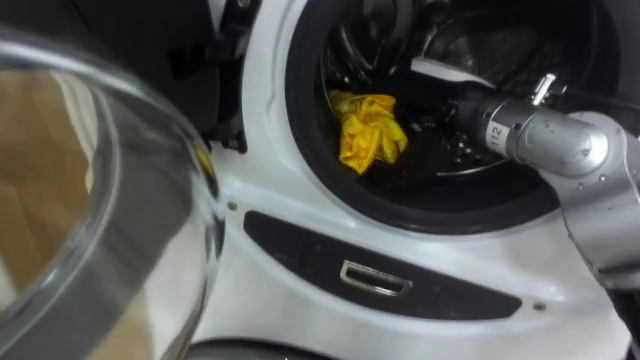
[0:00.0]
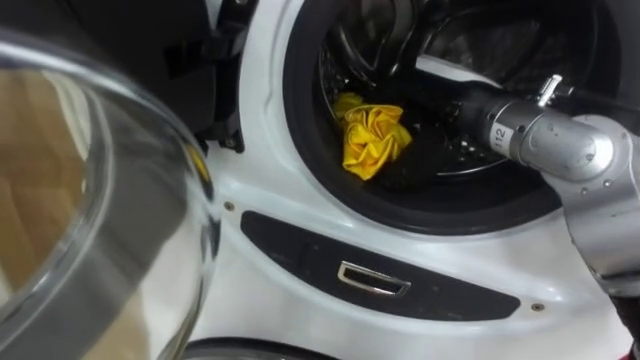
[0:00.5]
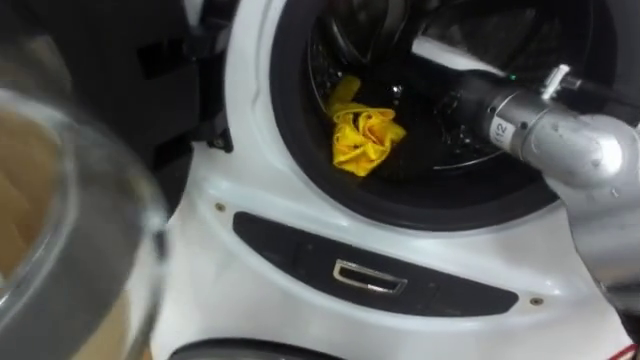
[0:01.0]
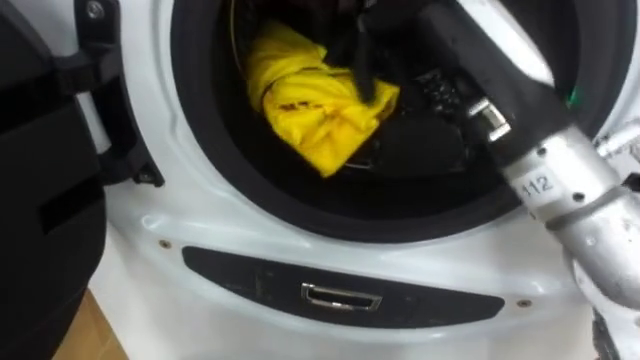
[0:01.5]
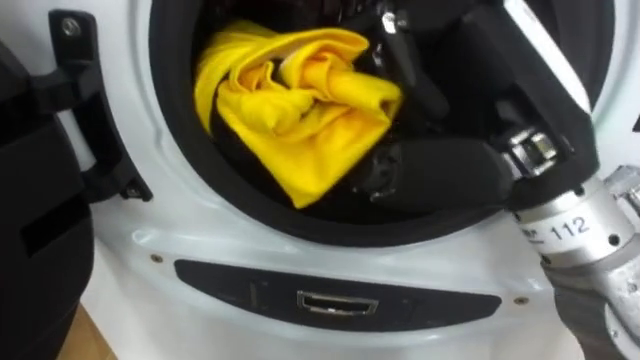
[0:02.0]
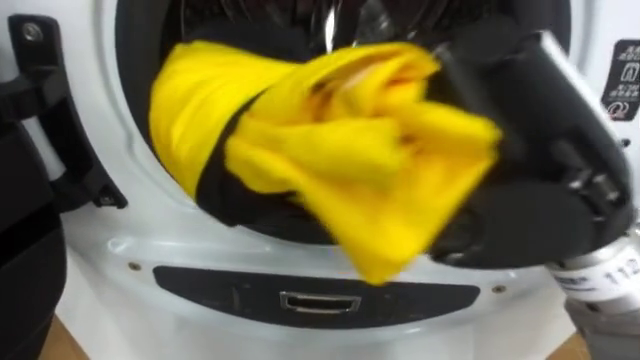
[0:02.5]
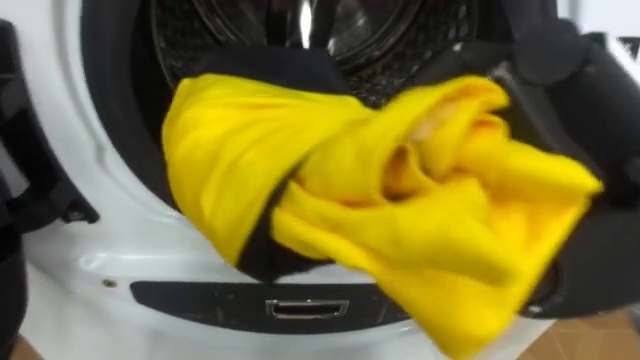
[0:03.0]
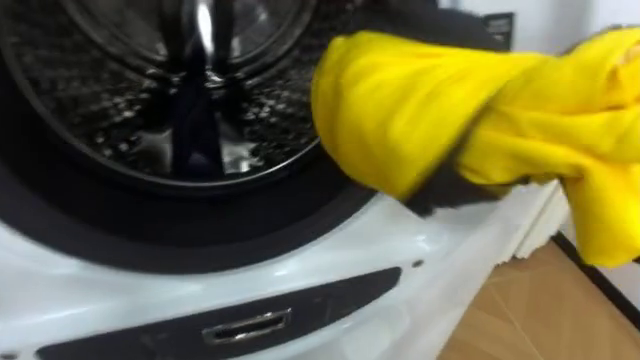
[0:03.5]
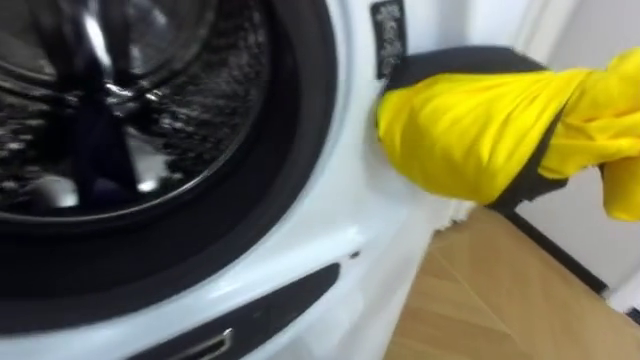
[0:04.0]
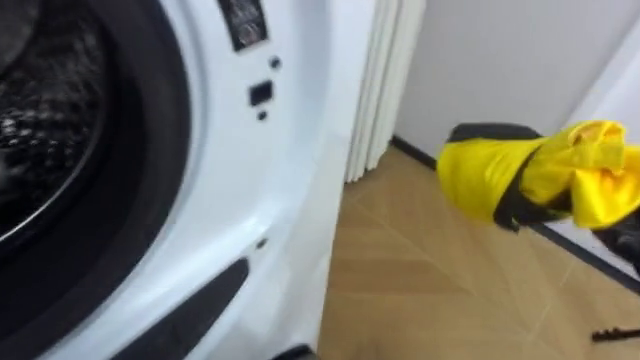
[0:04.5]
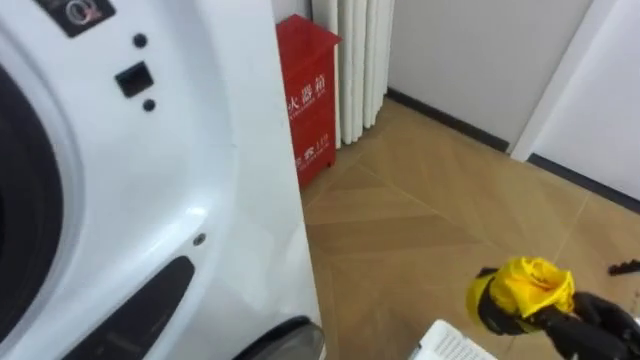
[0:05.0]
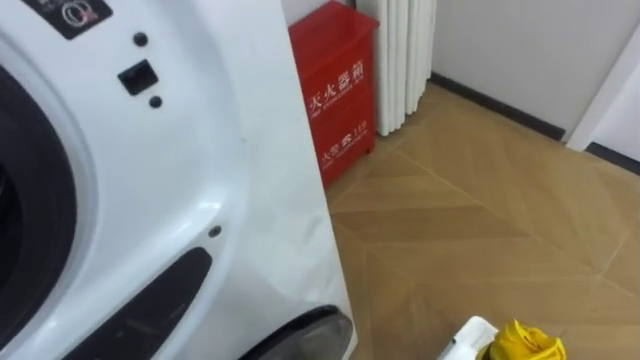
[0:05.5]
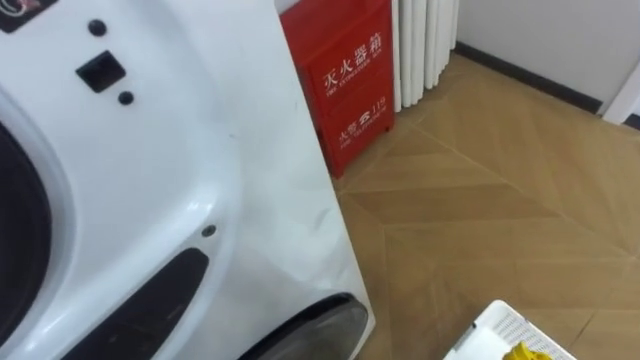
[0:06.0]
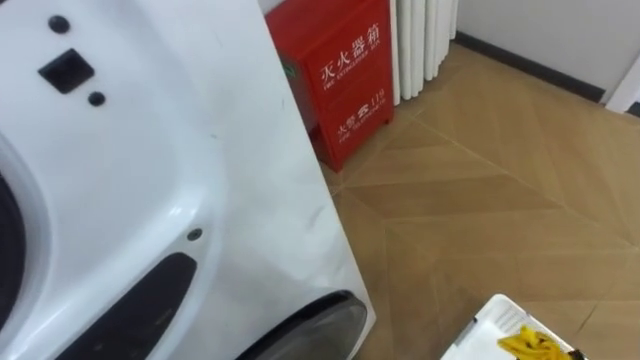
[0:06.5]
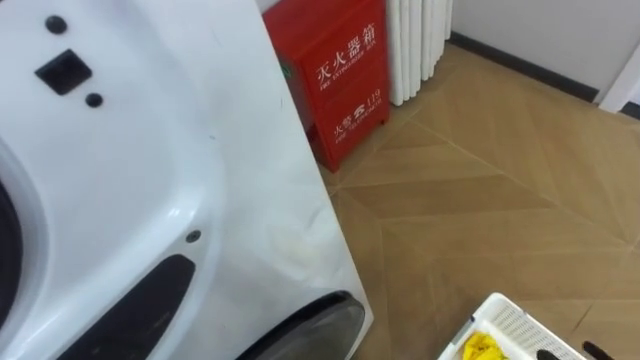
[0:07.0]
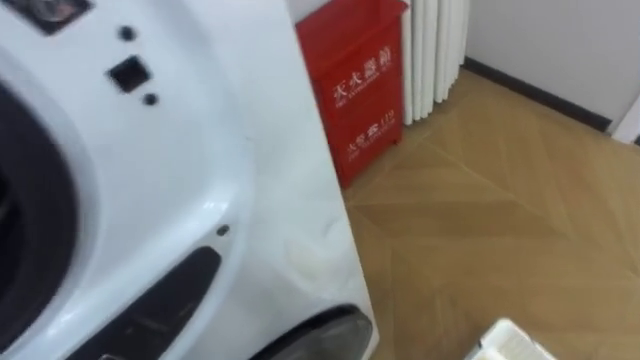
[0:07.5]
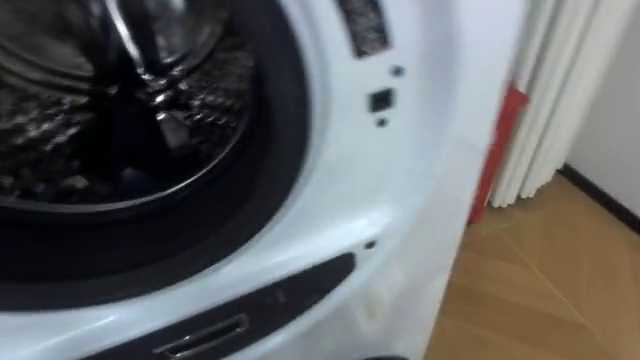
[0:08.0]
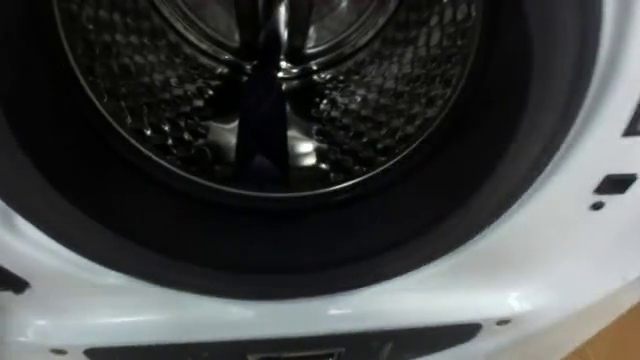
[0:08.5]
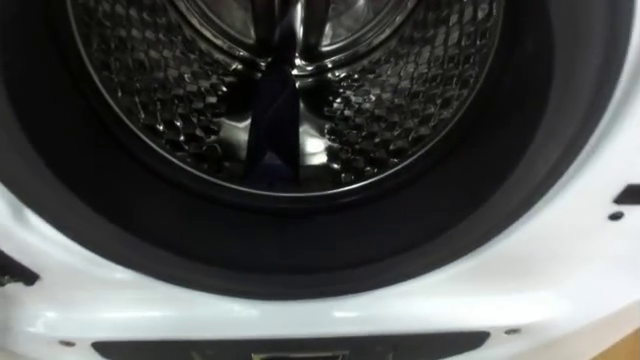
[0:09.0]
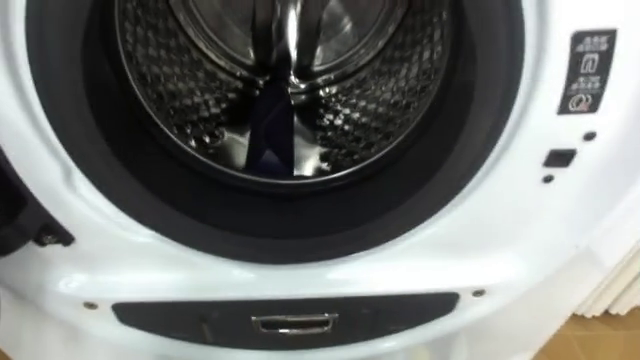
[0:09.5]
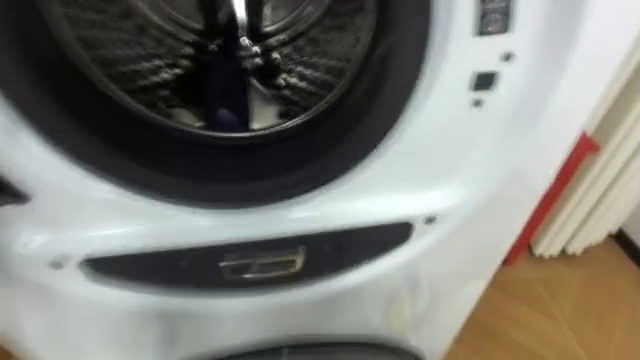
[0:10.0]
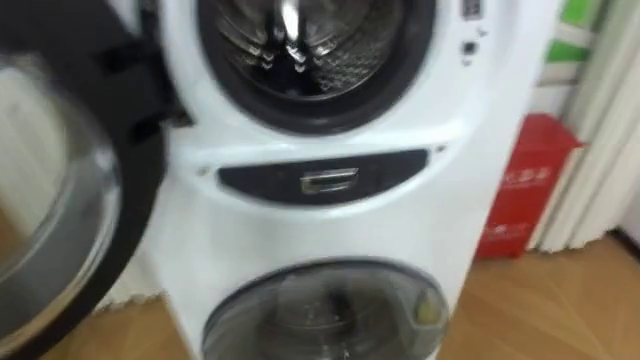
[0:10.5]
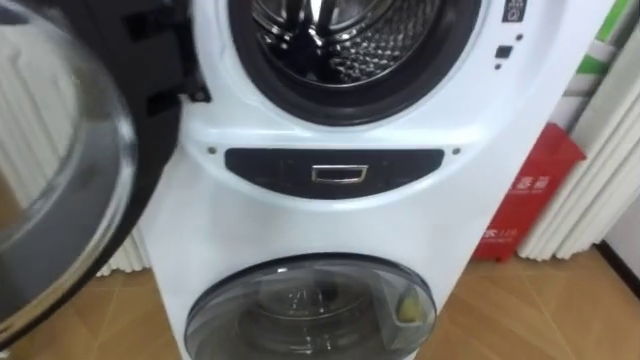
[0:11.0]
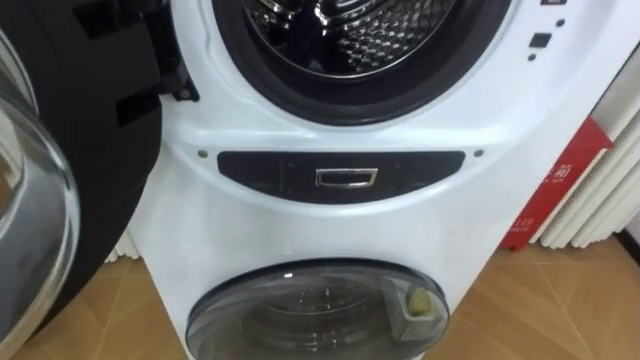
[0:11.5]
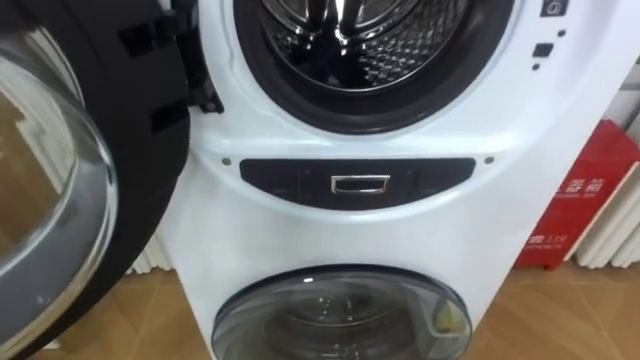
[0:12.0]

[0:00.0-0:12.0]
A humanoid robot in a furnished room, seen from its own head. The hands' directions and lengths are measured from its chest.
Task of the whole recording: Open the washing machine door, take out the yellow clothes, place them in the box on the right, and close the washing machine door.
0:00.0 to 0:02.0: The right hand shifts approximately 15 cm backward and upward, and closes its fingers.

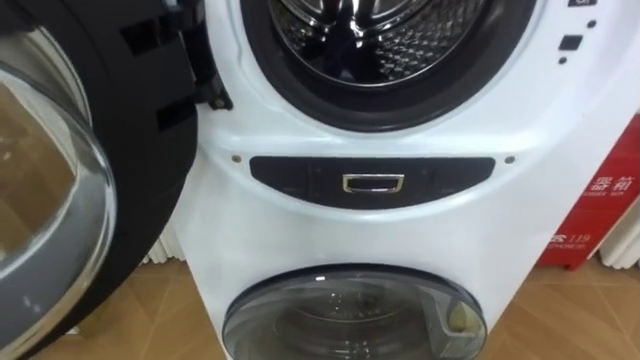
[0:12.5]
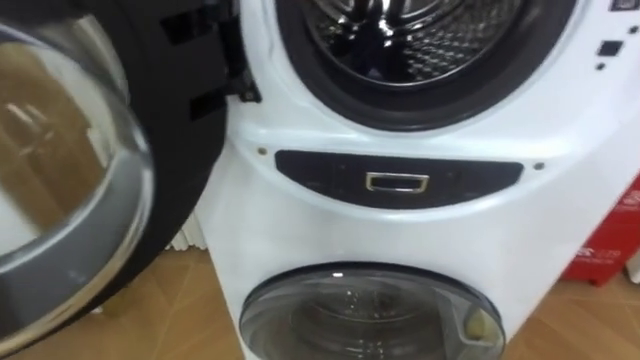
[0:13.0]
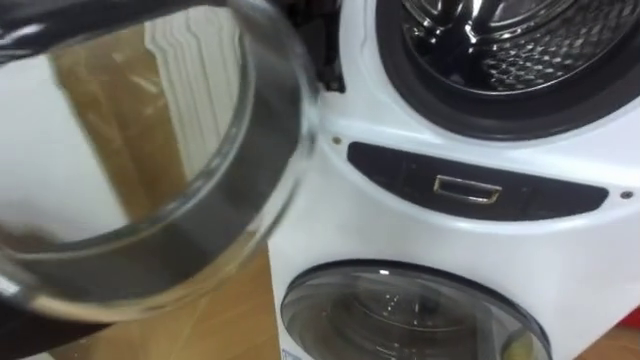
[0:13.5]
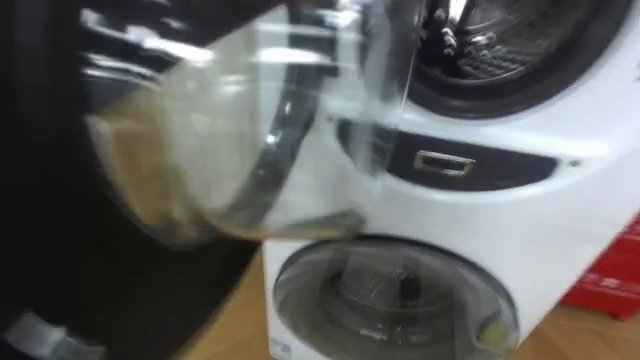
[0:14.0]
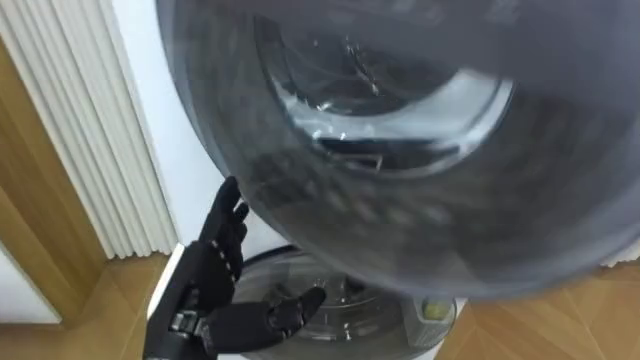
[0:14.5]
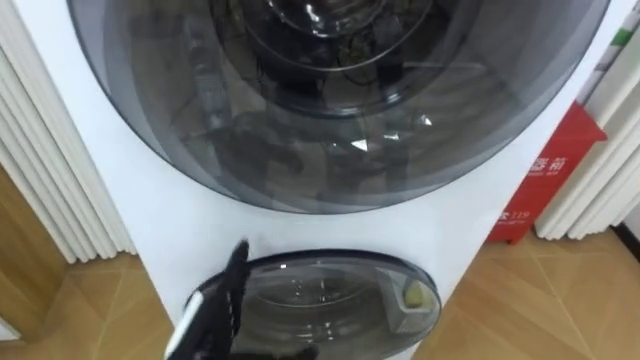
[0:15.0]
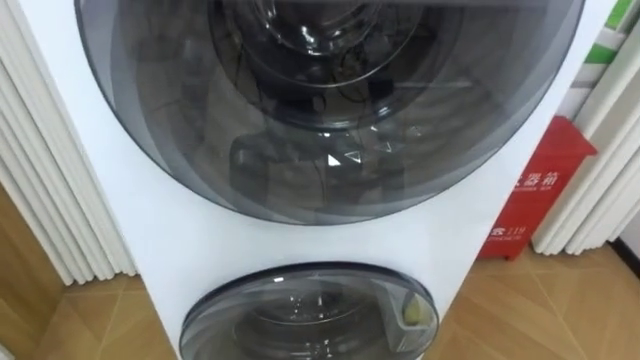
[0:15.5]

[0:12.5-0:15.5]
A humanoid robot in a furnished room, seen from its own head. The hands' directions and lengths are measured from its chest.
Task of the whole recording: Open the washing machine door, take out the yellow clothes, place them in the box on the right, and close the washing machine door.
0:14.0 to 0:15.5: The robot faces some 15 degrees further to its right.

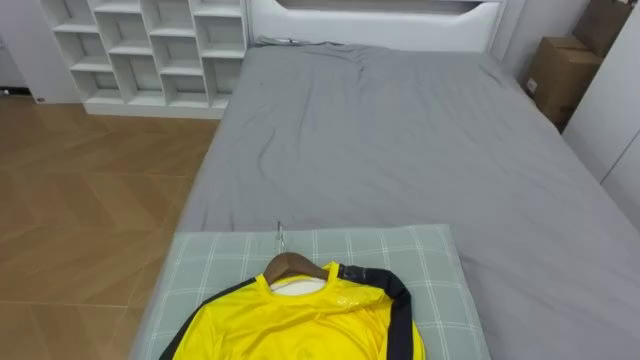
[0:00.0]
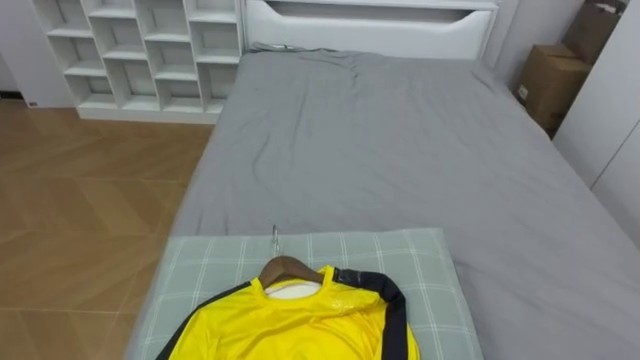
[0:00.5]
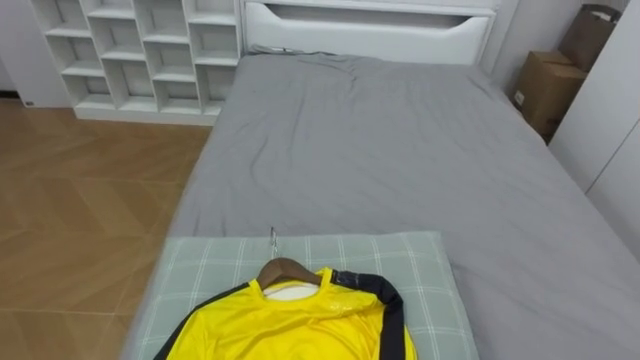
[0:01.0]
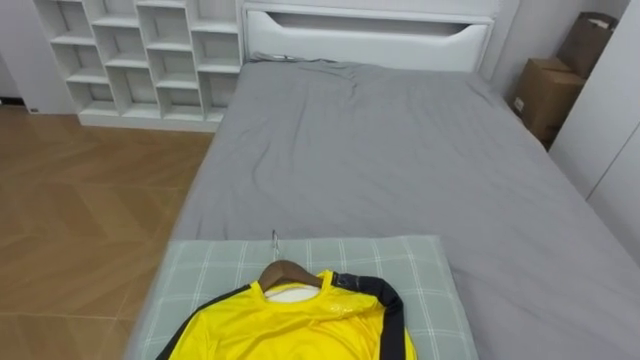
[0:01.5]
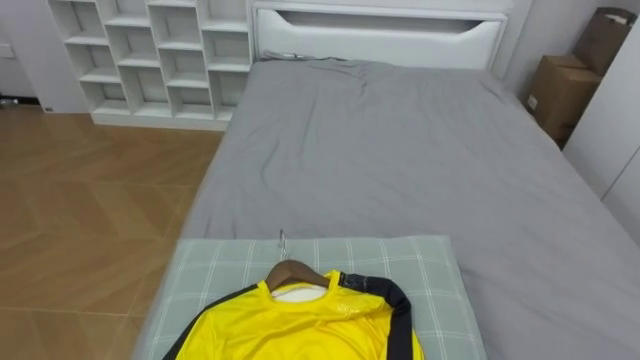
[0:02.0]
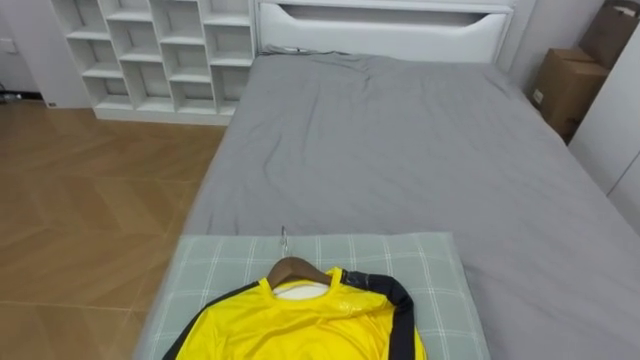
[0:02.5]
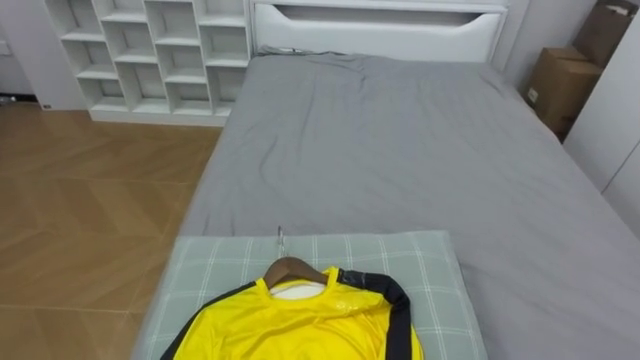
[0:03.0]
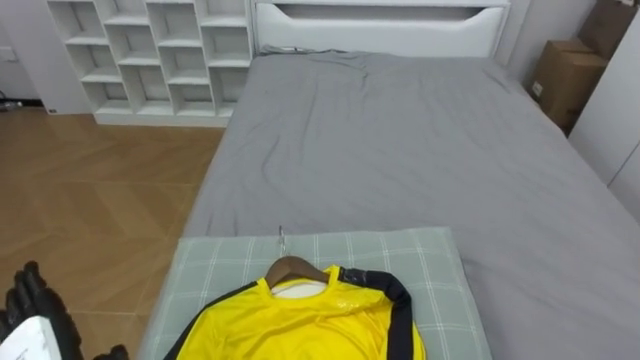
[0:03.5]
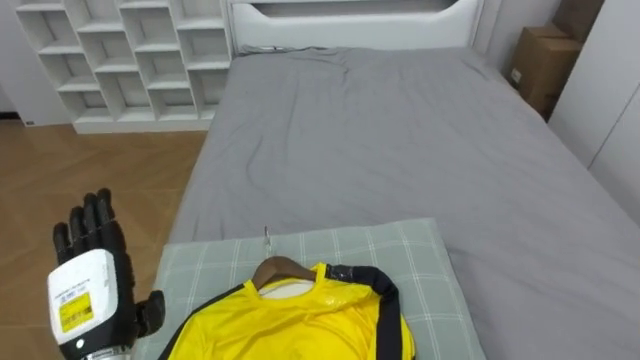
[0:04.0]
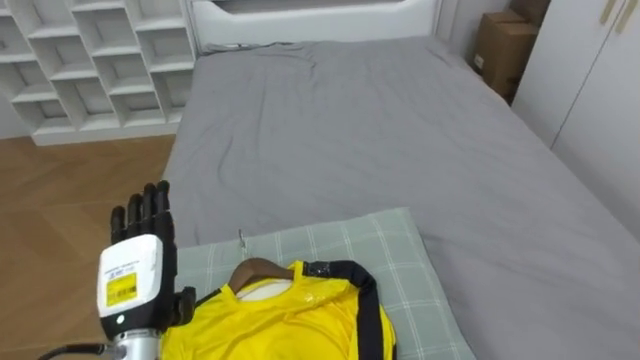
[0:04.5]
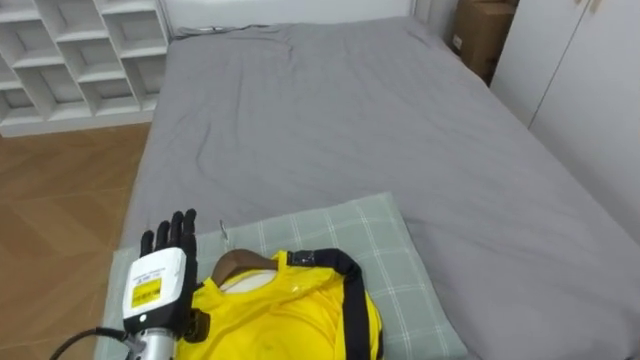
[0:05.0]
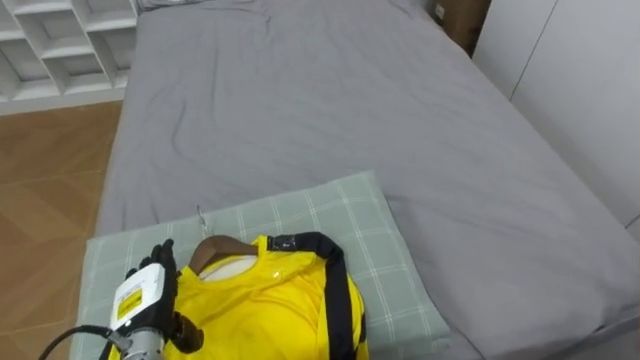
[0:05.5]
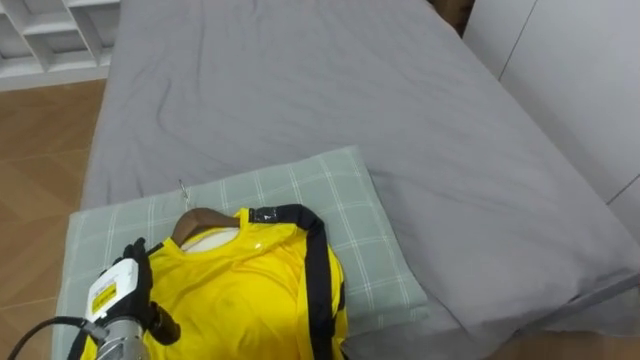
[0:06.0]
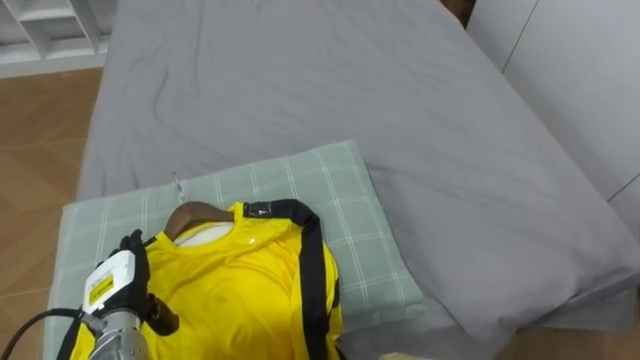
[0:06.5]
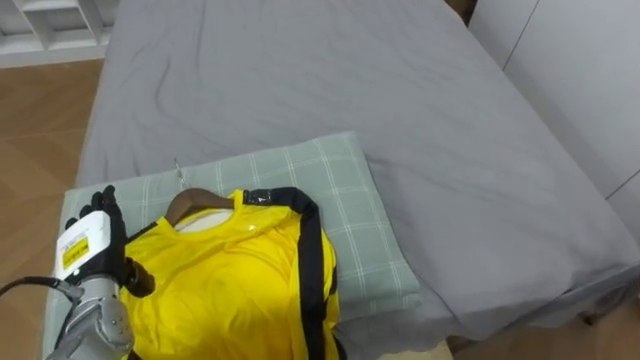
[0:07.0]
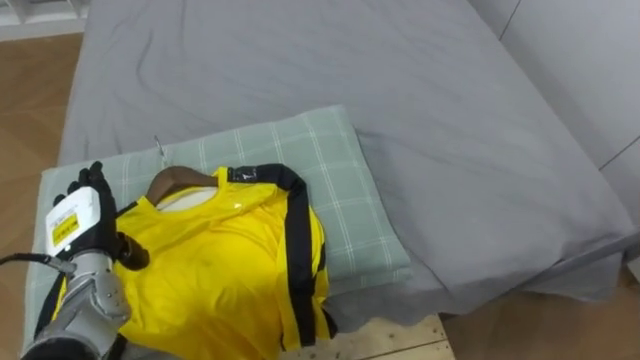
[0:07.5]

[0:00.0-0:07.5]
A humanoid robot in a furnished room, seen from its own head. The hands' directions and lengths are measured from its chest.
Task of the whole recording: Pick up the yellow shirt on the bed and hang it on the clothes rack on the right.
0:04.0 to 0:05.5: The left hand shifts approximately 10 cm downward.
0:05.5 to 0:07.5: The left hand shifts approximately 10 cm upward, to the left and forward.
